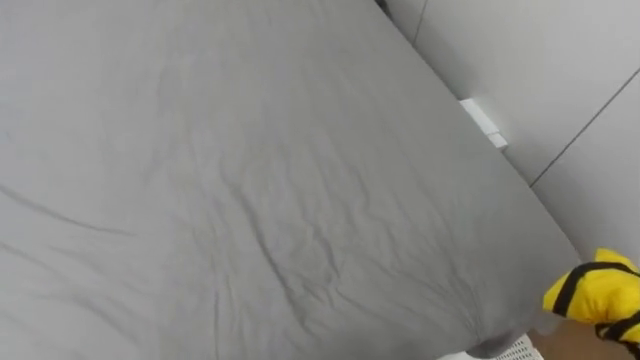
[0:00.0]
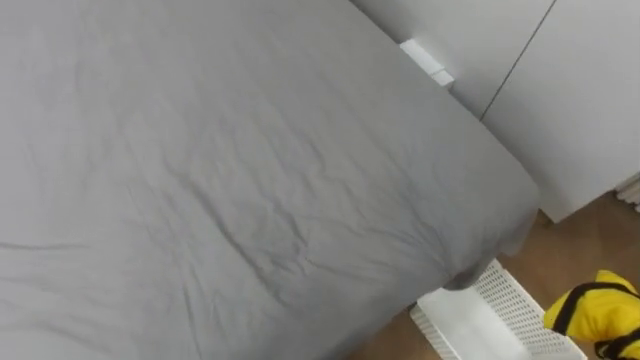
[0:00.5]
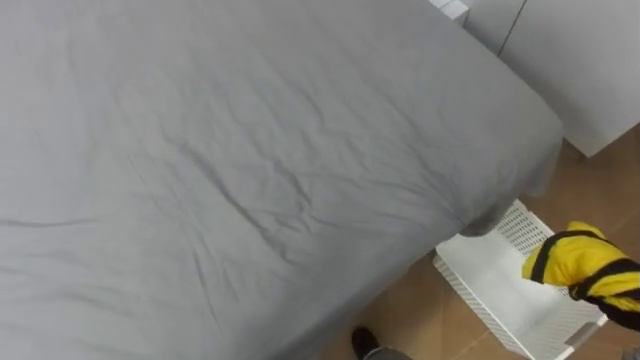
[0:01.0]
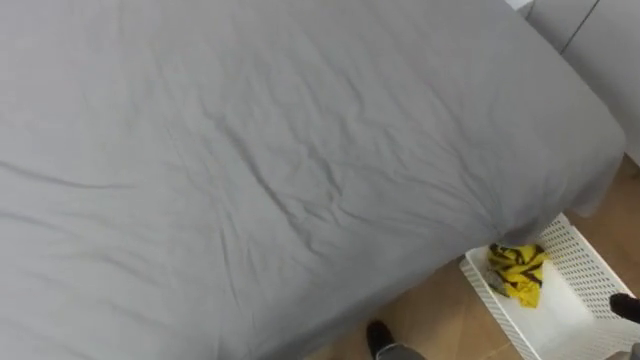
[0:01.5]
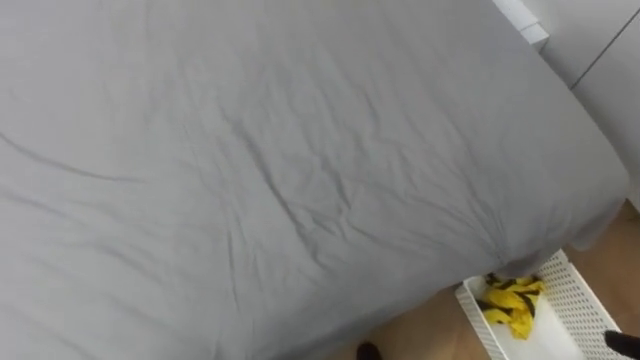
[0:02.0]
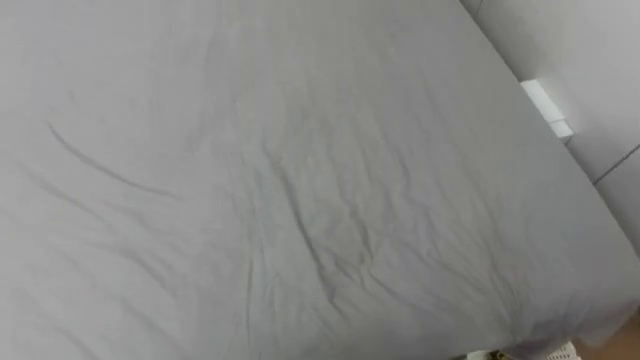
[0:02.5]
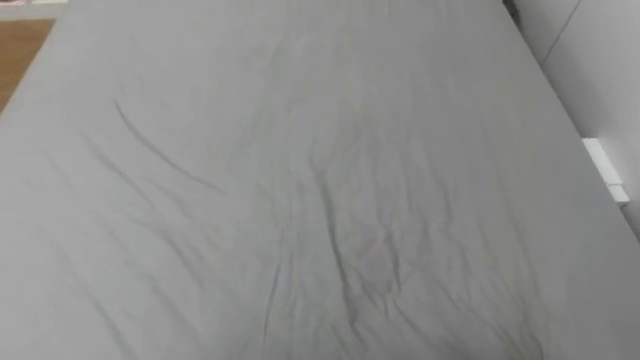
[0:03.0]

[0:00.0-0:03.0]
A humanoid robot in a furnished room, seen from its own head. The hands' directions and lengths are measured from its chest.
Task of the whole recording: Pick up the yellow clothes on the bed and place them into the white basket on the right.
0:01.5 to 0:03.0: The robot turns to its left by roughly 15 degrees.

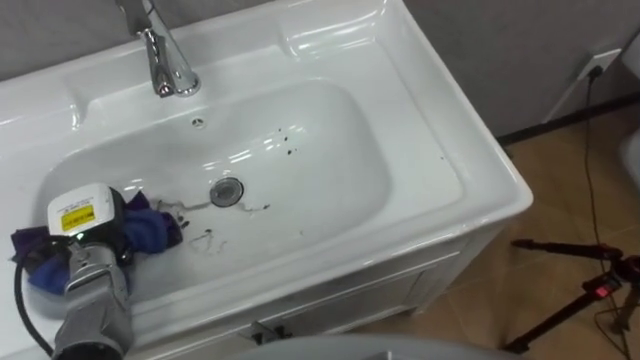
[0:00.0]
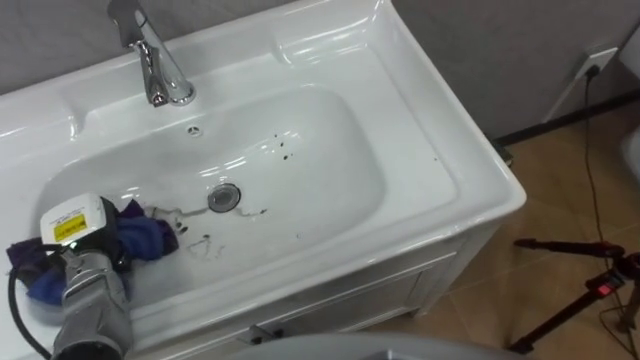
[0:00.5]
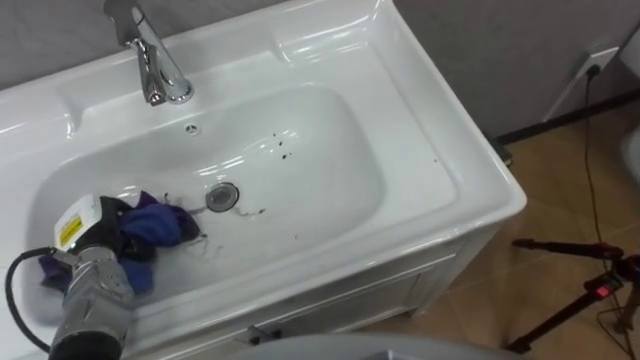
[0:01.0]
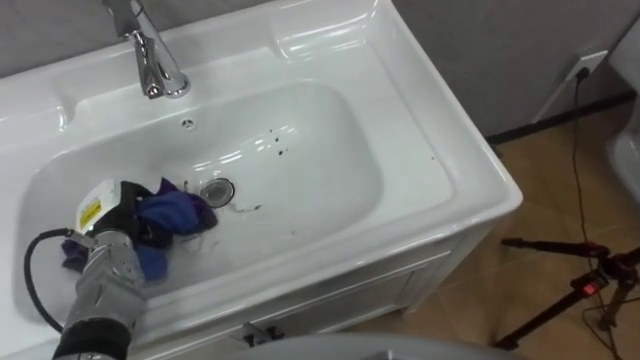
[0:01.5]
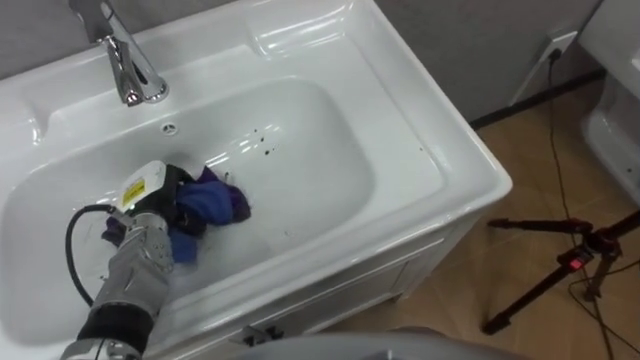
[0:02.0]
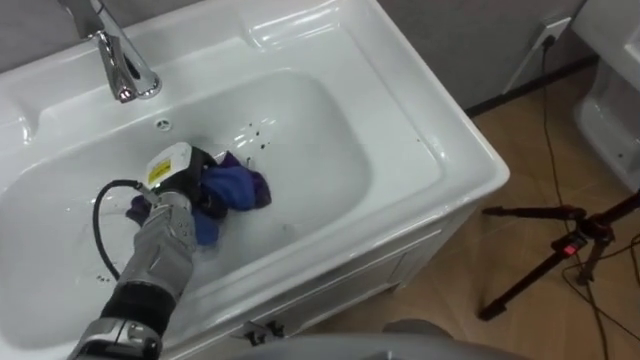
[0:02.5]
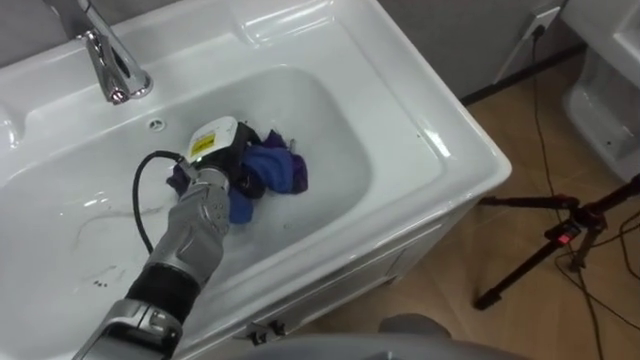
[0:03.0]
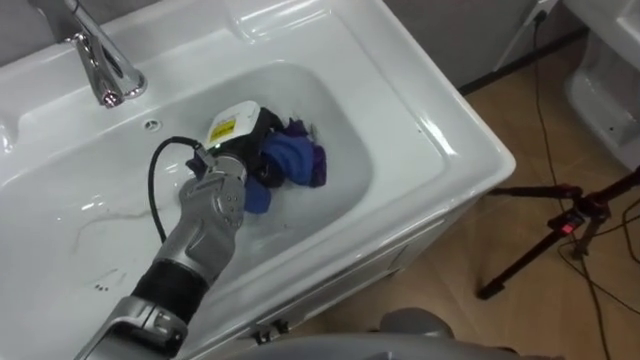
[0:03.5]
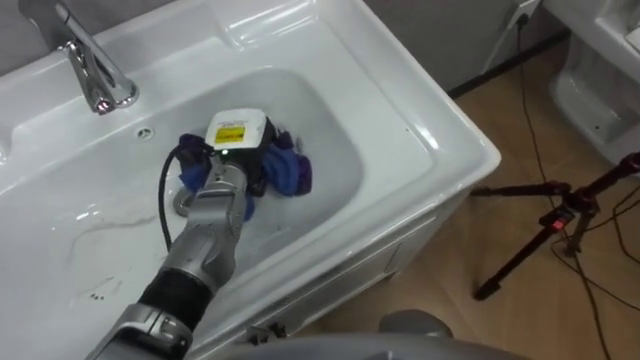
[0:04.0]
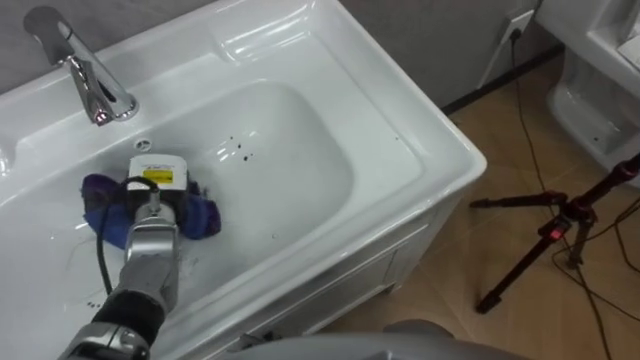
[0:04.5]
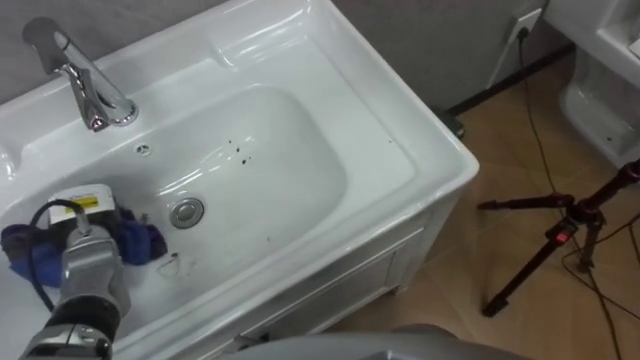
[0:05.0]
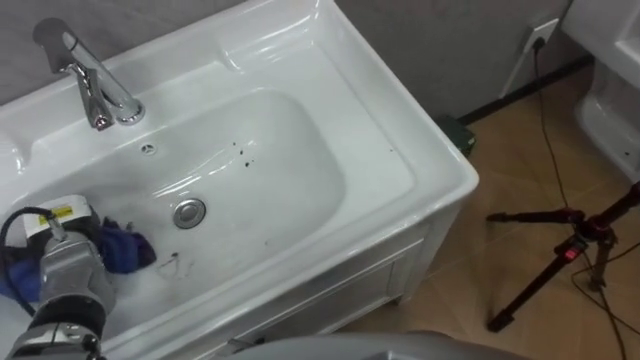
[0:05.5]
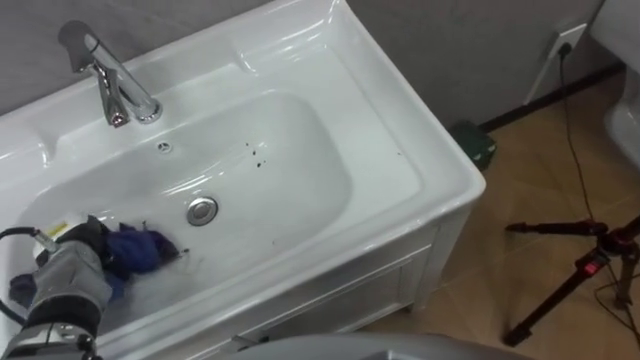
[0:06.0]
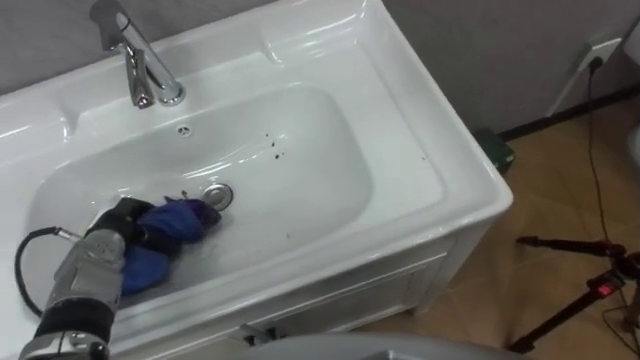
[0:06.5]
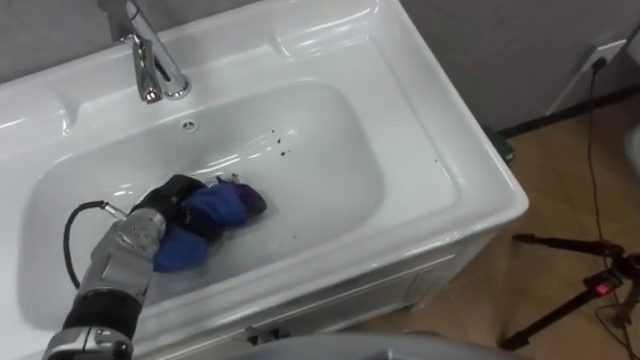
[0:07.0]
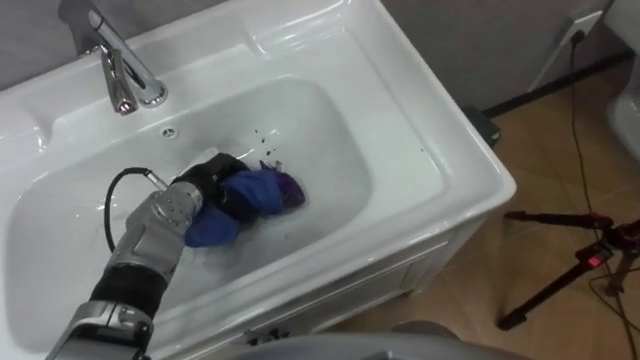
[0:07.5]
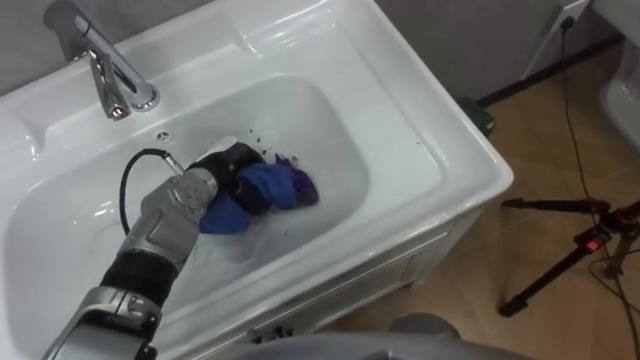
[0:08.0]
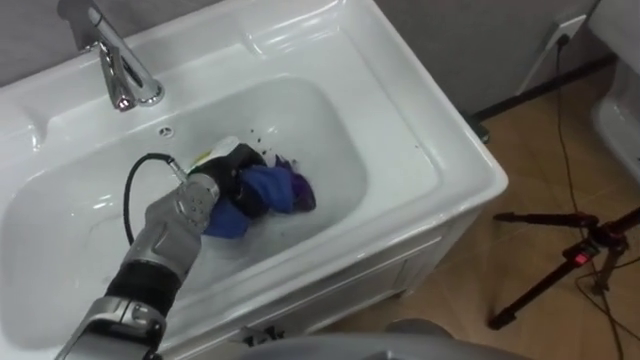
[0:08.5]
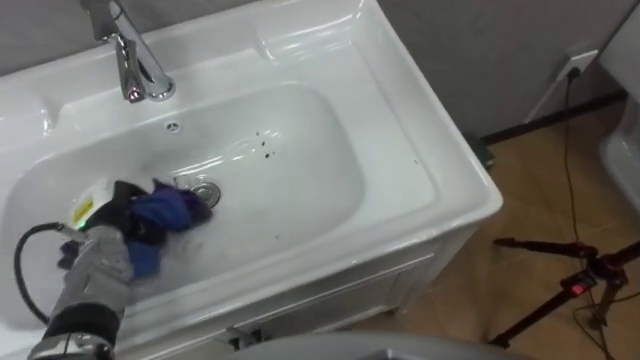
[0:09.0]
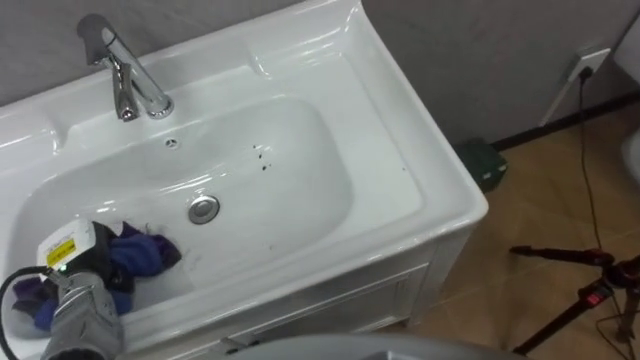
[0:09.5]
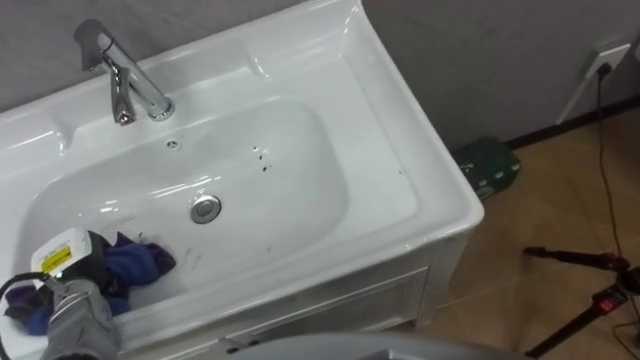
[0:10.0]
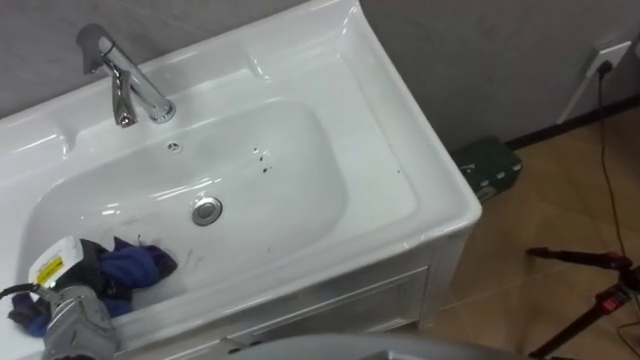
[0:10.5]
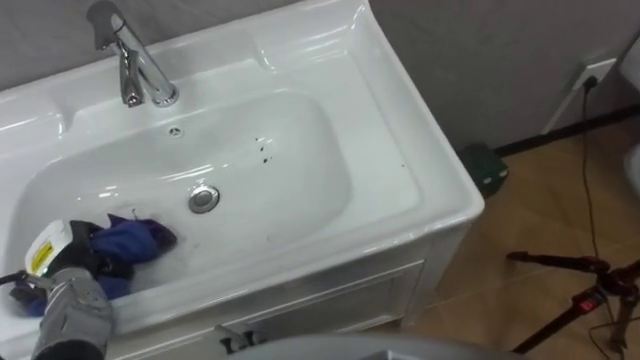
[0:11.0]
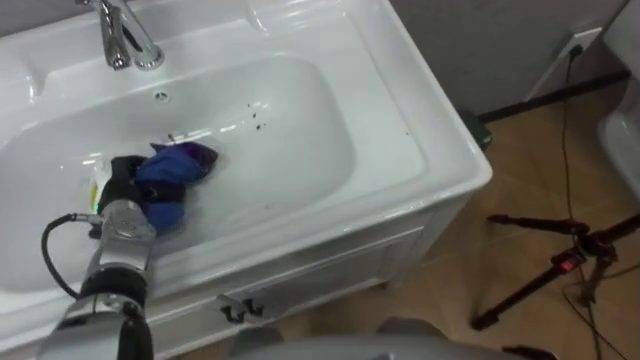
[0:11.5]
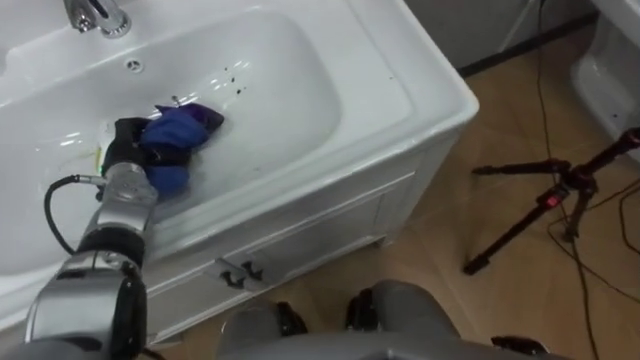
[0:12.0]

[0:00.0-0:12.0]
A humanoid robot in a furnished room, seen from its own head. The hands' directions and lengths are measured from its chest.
Task of the whole recording: Use the cloth on the right to wipe away the black stain in the sink.
0:00.0 to 0:02.0: The left hand moves to the right, some 10 cm.
0:02.0 to 0:04.0: The left hand is displaced to the right, forward and upward by about 15 cm.
0:04.0 to 0:06.0: The left hand shifts about 25 cm to the left and backward.
0:06.0 to 0:08.0: The left hand heads to the right and forward, covering some 25 cm.
0:08.0 to 0:10.0: The left hand is displaced to the left and backward by roughly 25 cm.
0:10.0 to 0:12.0: The left hand travels forward and to the right by about 20 cm.

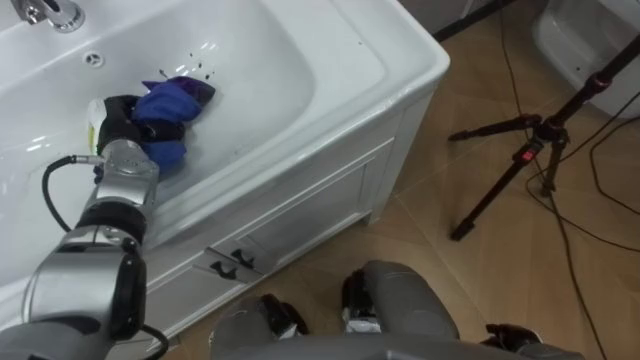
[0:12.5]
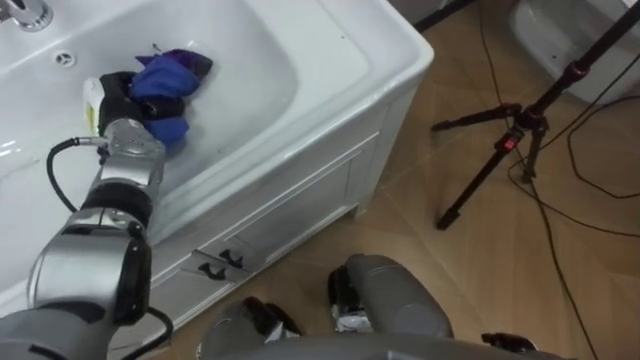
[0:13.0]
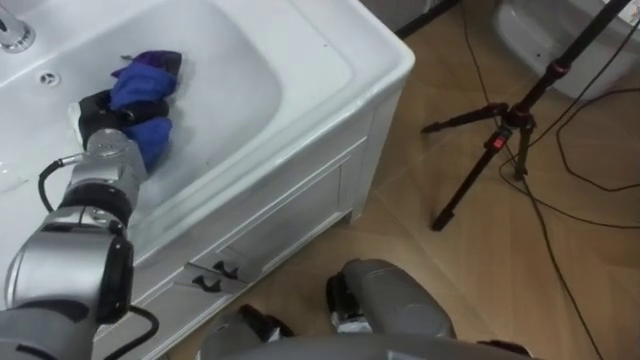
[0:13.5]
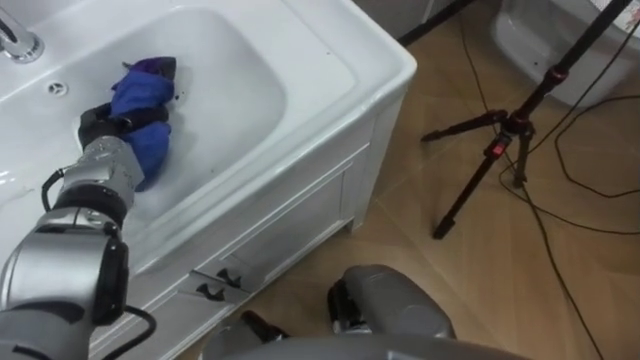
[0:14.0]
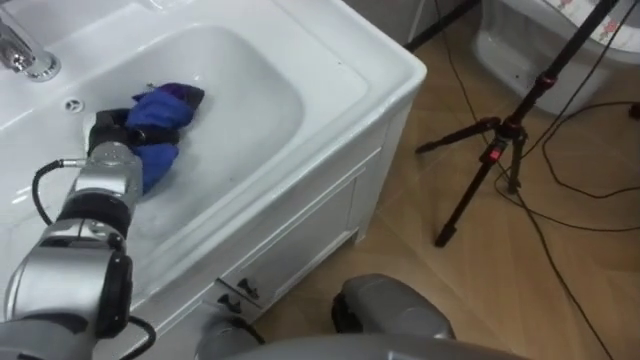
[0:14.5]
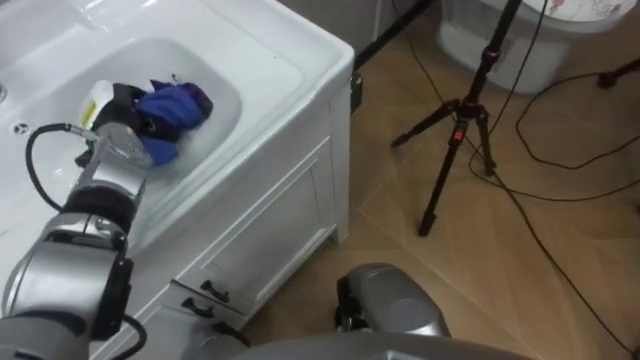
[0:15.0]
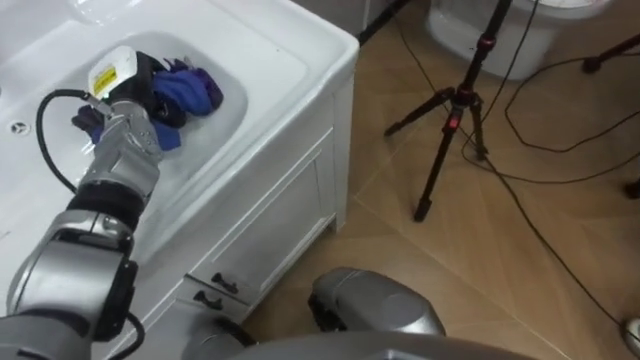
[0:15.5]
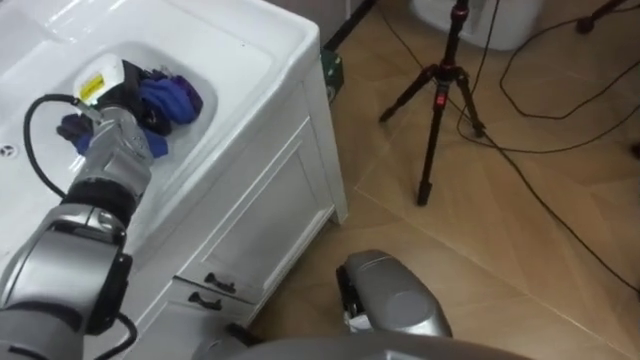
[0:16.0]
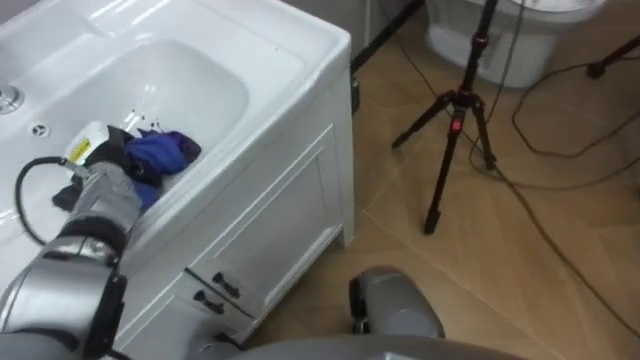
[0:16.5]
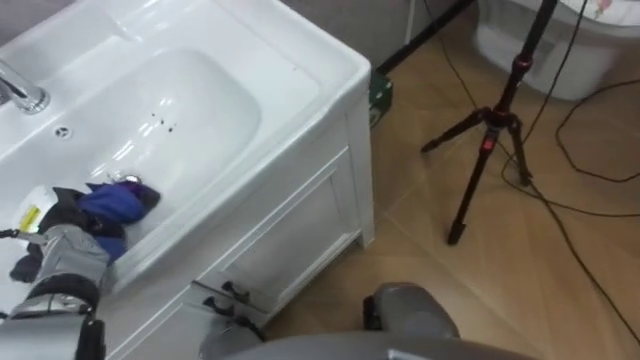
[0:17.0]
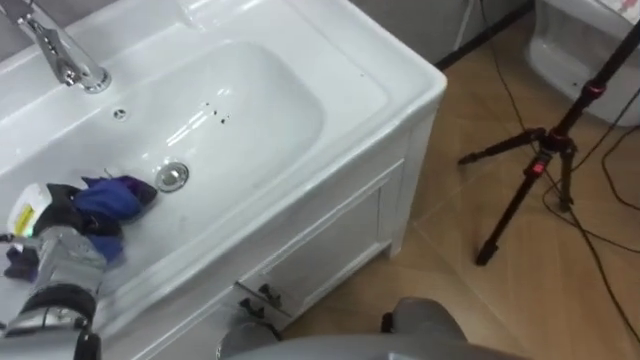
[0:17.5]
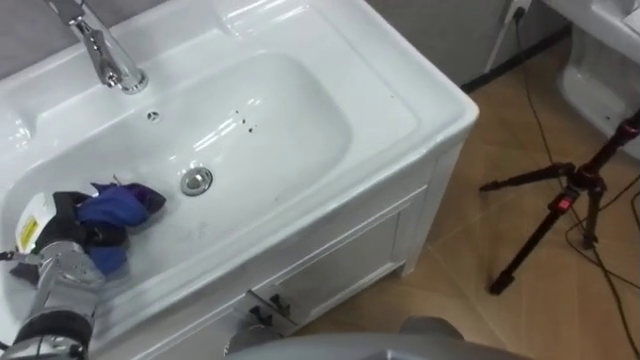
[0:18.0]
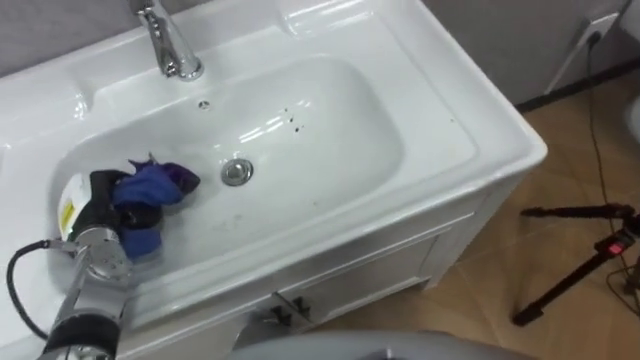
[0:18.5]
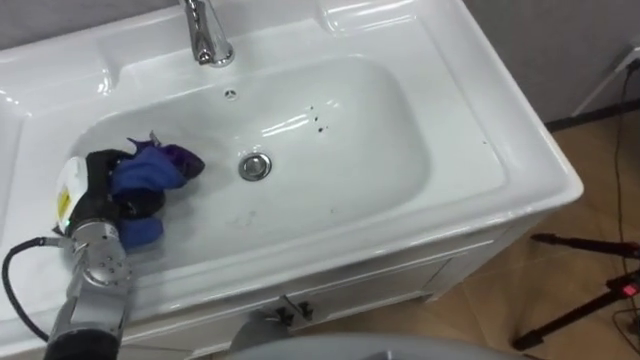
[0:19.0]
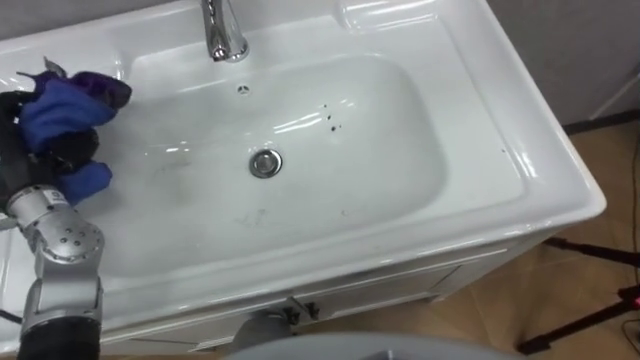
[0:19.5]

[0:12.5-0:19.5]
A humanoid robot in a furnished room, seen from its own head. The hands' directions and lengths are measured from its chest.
Task of the whole recording: Use the cloth on the right to wipe away the black stain in the sink.
0:14.5 to 0:16.0: The left hand changes place by some 5 cm.
0:16.0 to 0:17.5: The left hand travels backward, to the left and downward by some 20 cm.
